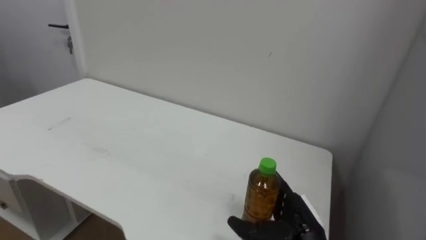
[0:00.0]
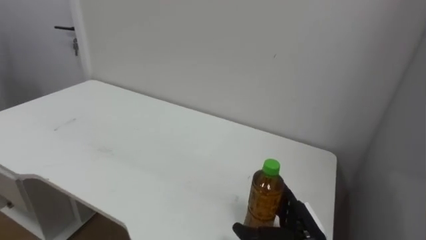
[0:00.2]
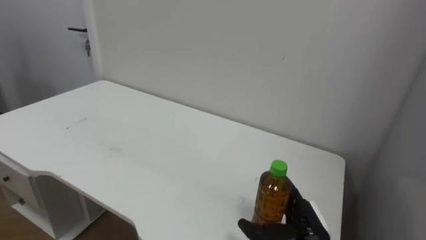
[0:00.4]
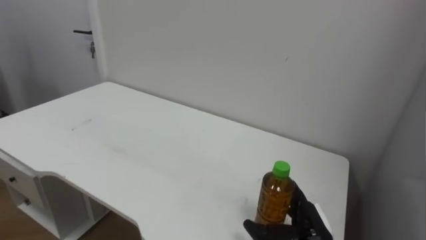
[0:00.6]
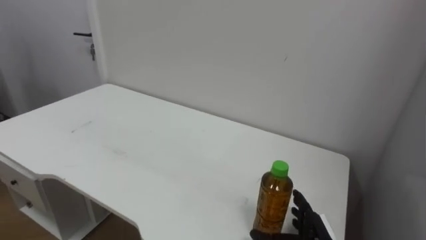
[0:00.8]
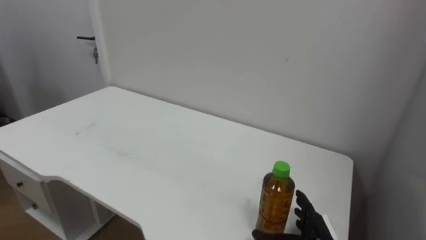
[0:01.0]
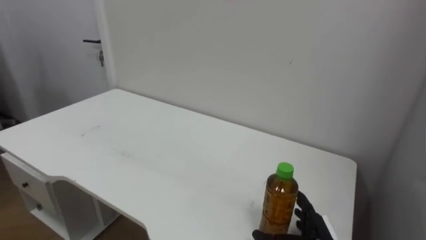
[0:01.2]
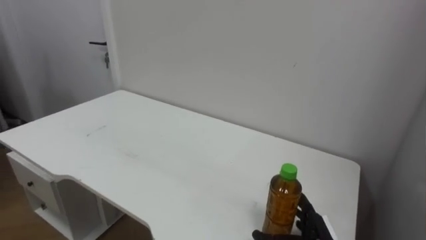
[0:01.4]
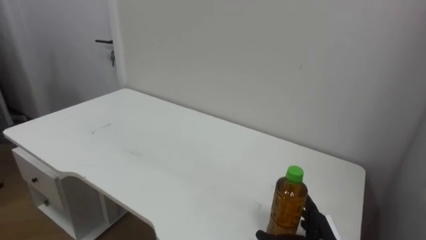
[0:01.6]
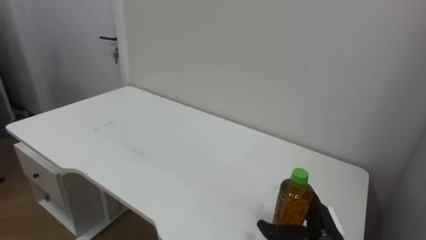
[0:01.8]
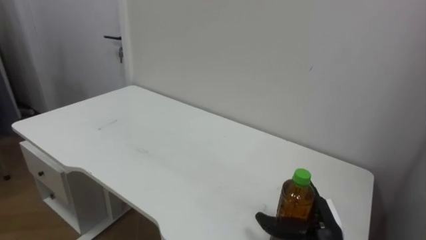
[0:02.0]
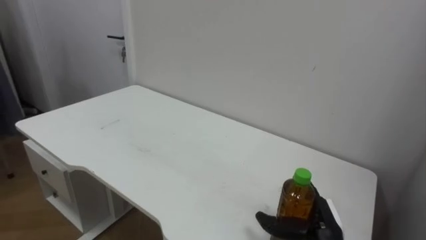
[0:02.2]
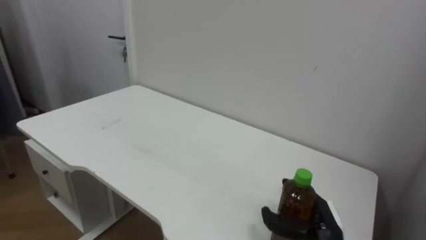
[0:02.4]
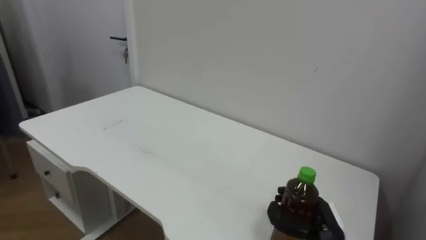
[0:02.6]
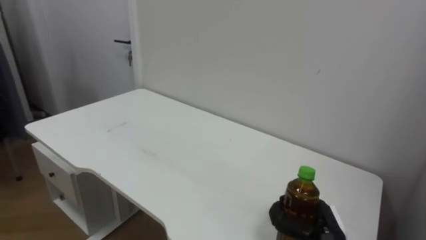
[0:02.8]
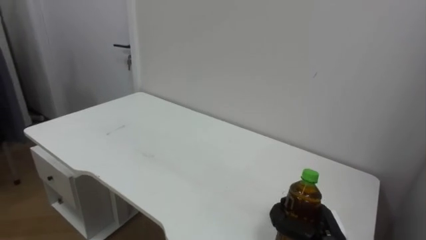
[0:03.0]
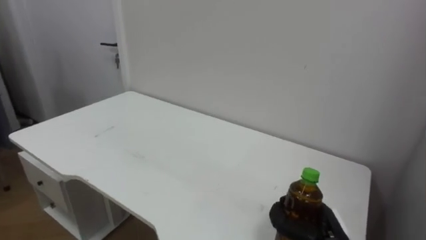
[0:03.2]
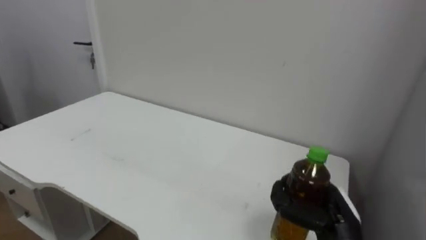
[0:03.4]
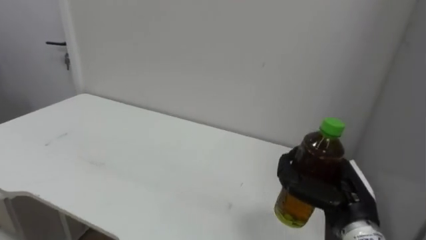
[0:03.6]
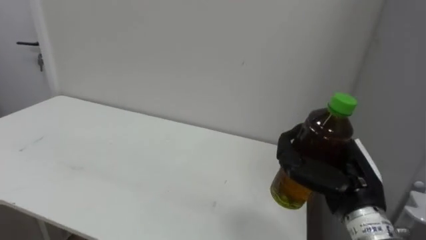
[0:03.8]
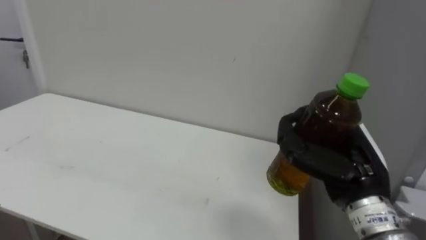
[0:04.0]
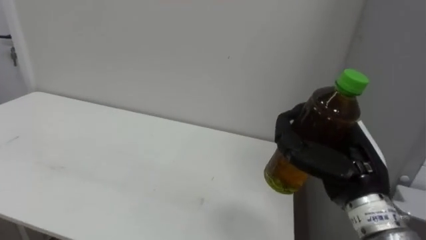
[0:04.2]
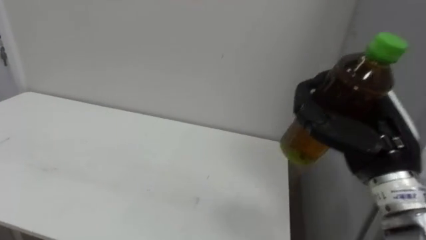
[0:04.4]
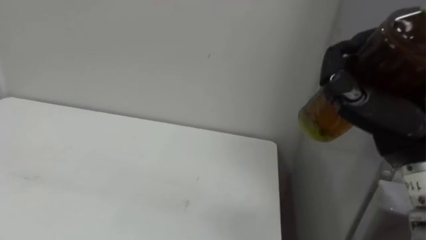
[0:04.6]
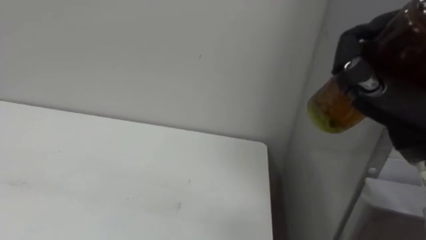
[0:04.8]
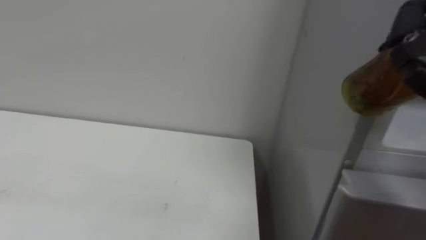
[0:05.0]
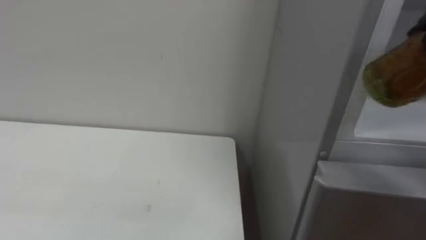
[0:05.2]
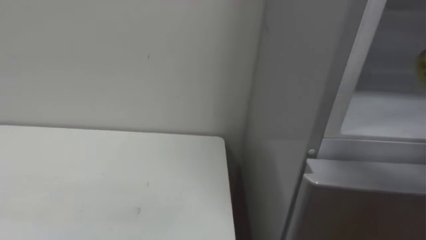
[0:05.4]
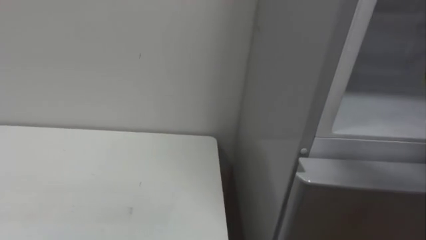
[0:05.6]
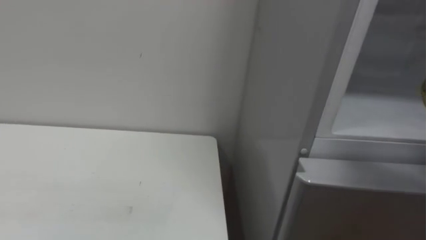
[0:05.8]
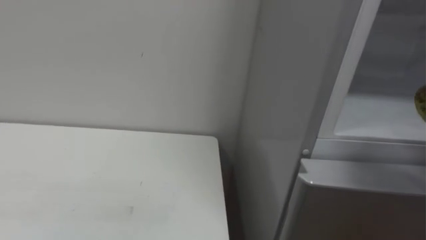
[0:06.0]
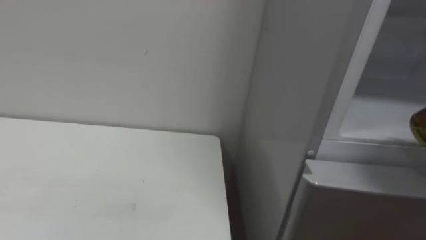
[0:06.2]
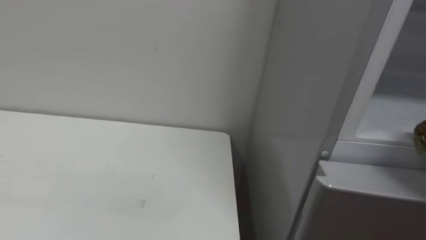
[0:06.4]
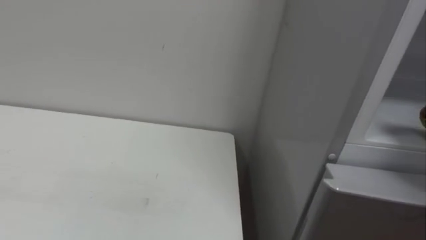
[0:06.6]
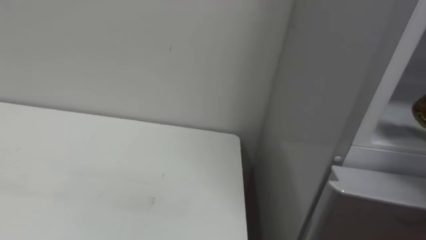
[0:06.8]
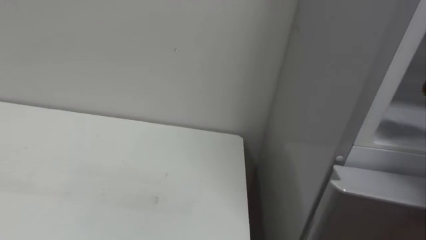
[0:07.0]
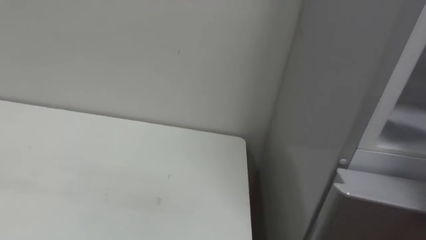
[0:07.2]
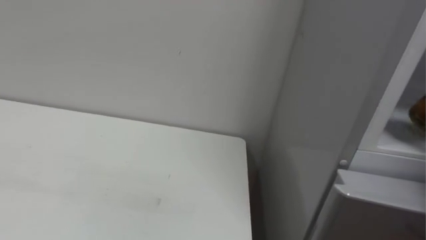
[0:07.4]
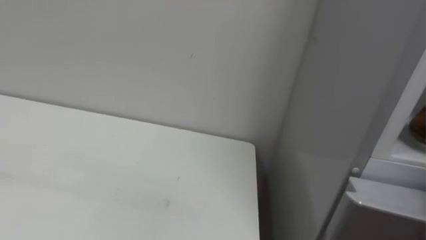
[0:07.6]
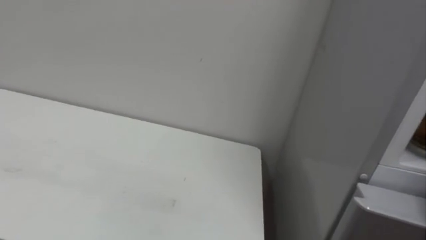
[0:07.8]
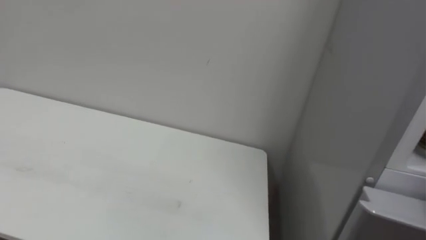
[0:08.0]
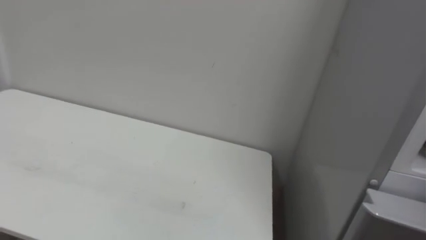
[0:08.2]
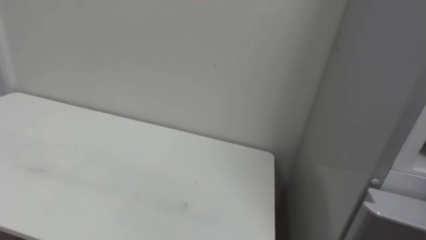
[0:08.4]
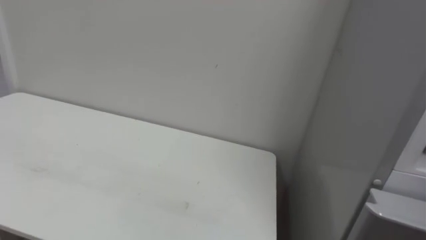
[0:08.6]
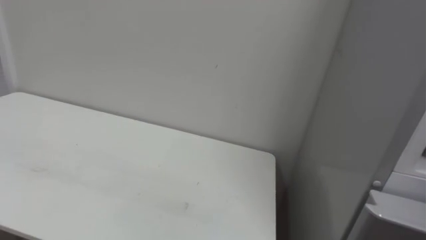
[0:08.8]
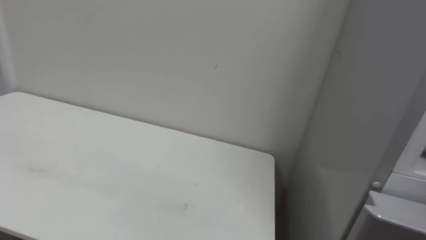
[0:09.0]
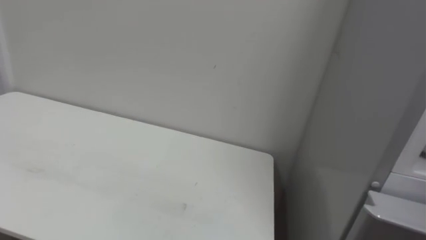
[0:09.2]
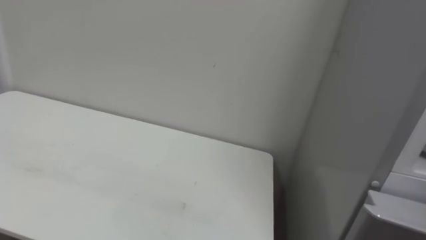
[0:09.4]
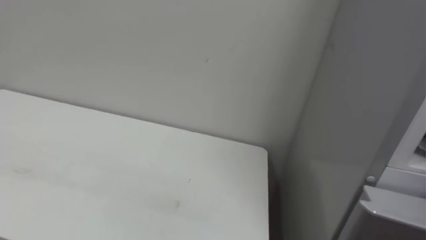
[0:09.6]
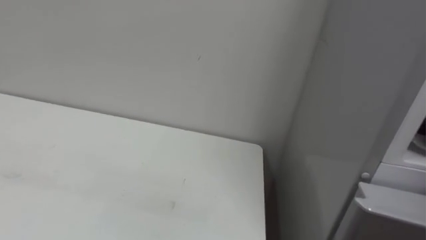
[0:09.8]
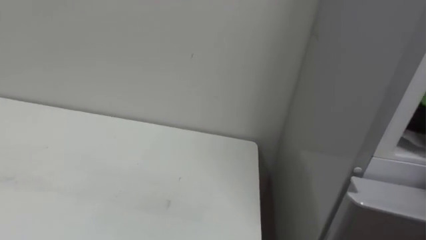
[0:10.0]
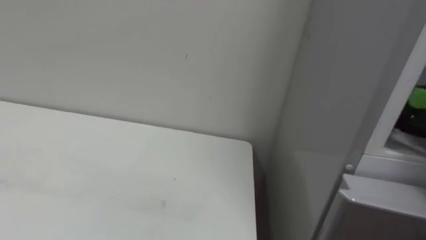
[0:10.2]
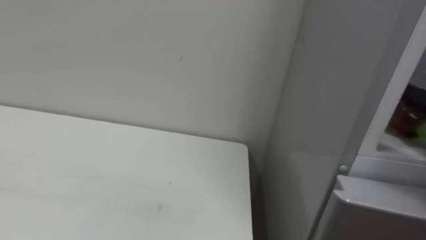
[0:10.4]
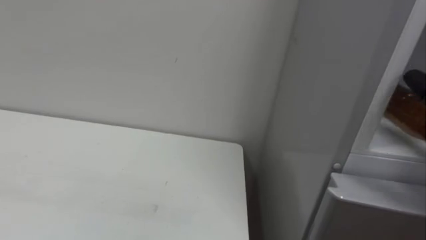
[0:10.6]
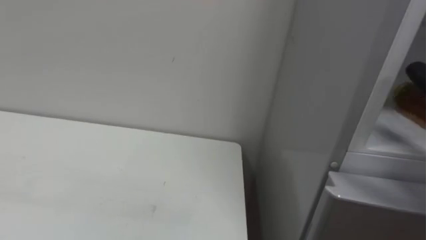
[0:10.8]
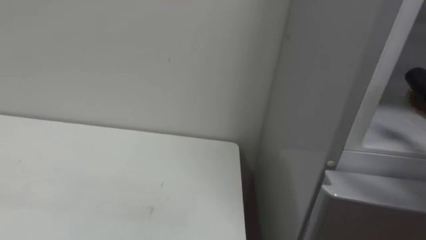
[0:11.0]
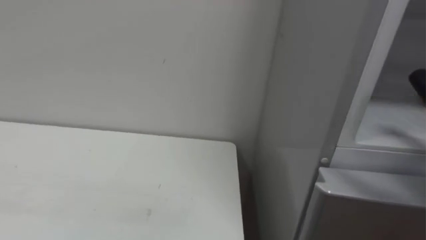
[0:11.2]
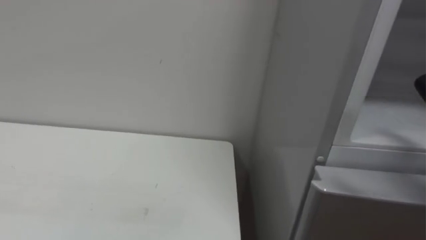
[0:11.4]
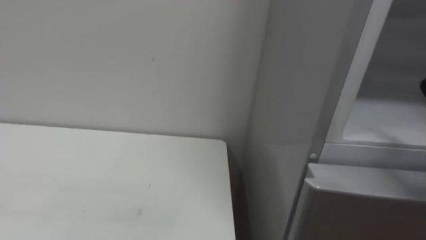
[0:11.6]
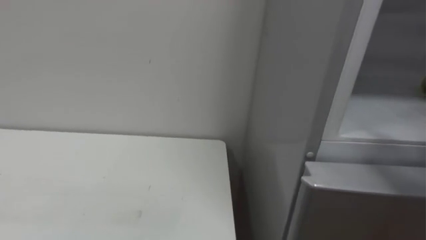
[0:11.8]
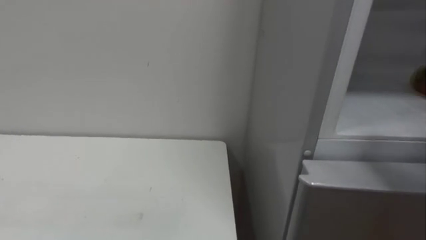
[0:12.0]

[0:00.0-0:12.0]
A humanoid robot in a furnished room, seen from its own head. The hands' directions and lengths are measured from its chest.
Task of the whole recording: Open the upper refrigerator door, put the drink from the table into the refrigerator, and then close the refrigerator door.
0:00.0 to 0:01.6: The right hand heads downward, covering about 5 cm.
0:01.6 to 0:03.0: The right hand closes its fingers.
0:03.0 to 0:04.4: The right hand travels upward by about 25 cm.

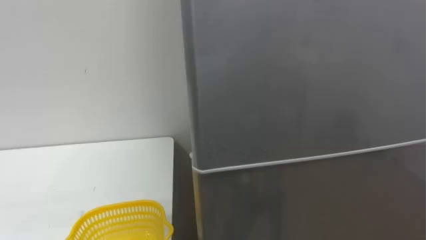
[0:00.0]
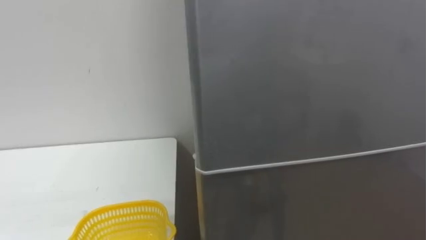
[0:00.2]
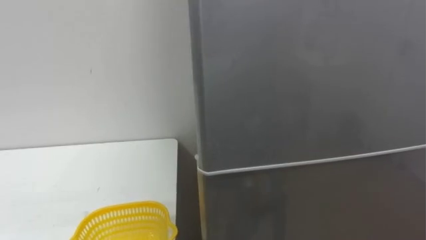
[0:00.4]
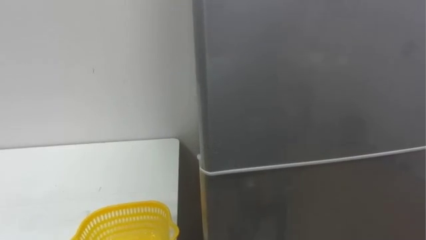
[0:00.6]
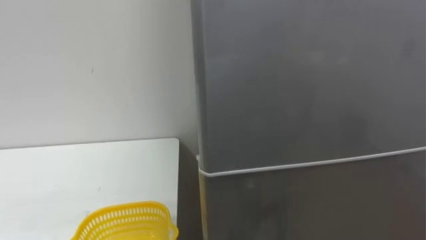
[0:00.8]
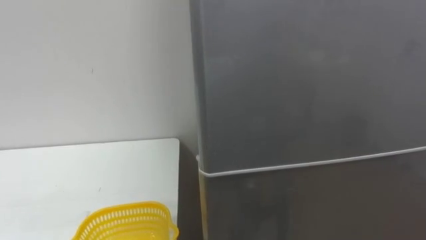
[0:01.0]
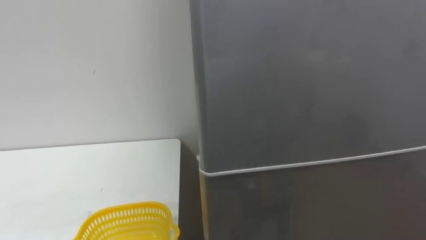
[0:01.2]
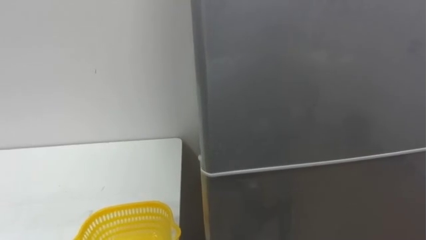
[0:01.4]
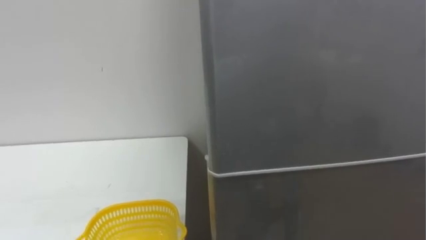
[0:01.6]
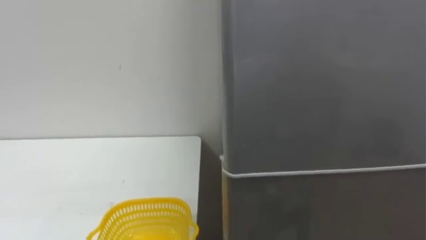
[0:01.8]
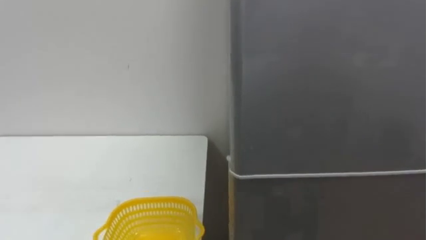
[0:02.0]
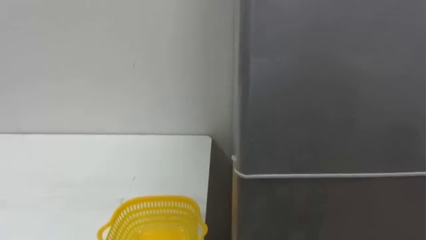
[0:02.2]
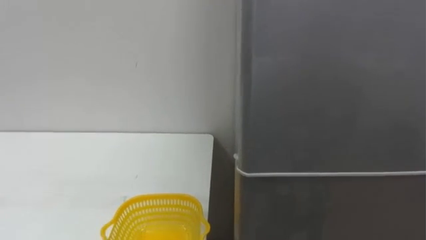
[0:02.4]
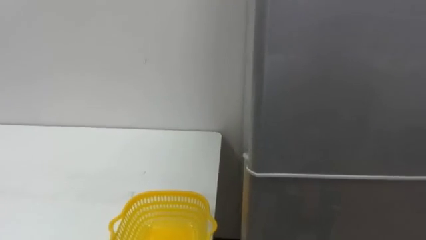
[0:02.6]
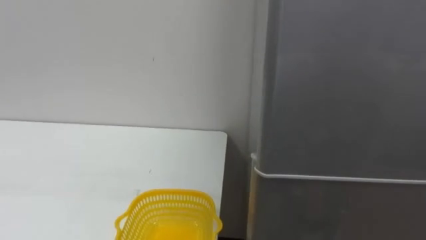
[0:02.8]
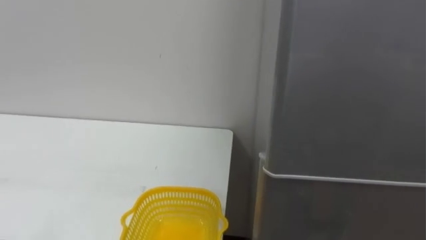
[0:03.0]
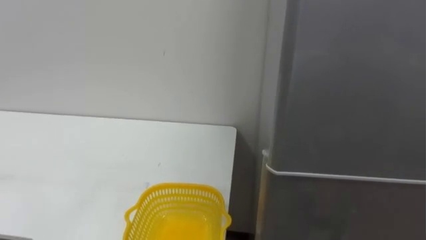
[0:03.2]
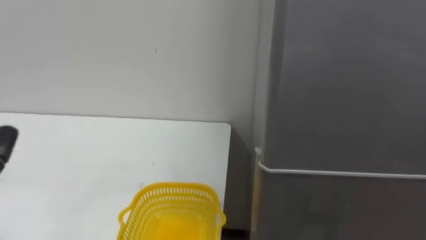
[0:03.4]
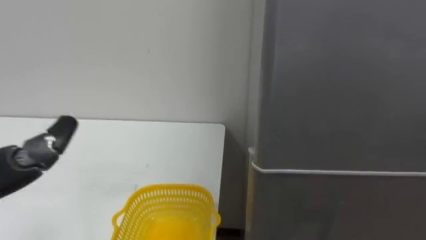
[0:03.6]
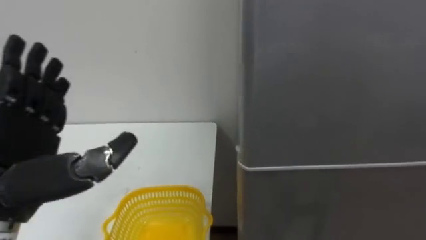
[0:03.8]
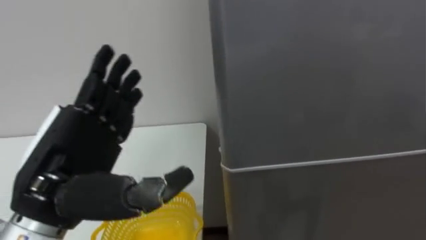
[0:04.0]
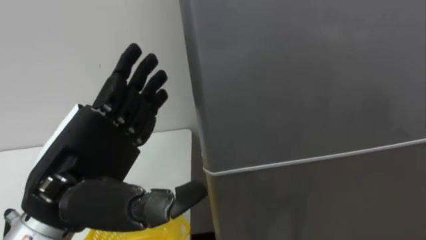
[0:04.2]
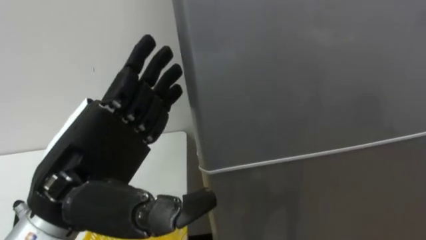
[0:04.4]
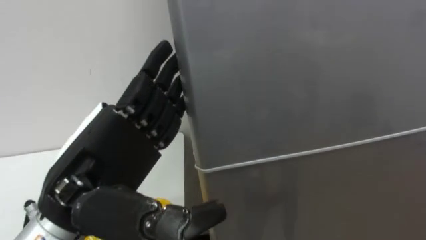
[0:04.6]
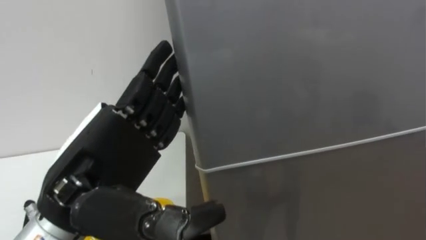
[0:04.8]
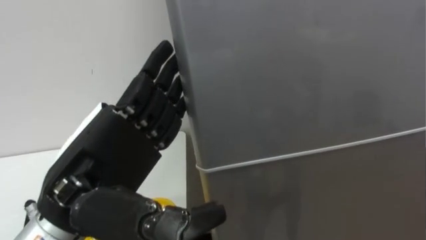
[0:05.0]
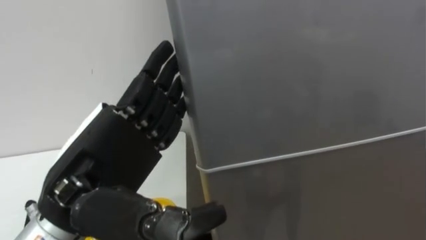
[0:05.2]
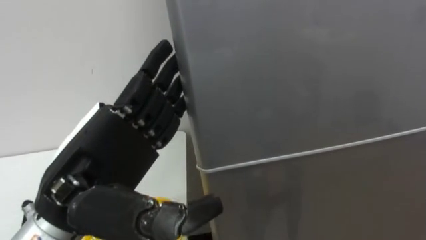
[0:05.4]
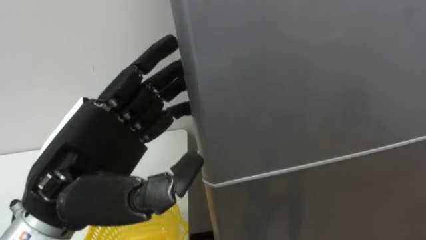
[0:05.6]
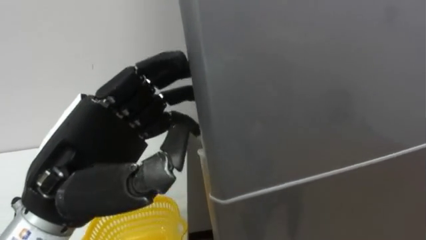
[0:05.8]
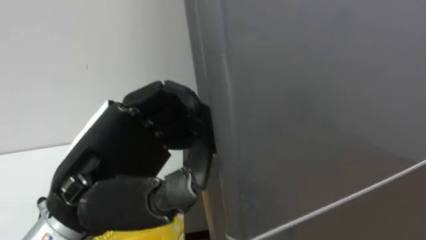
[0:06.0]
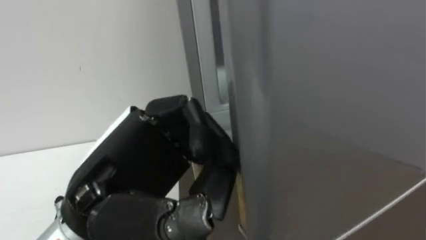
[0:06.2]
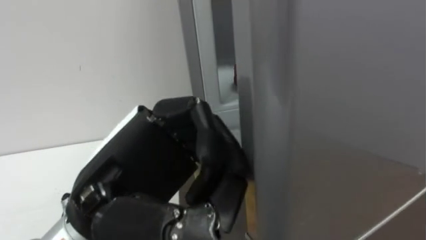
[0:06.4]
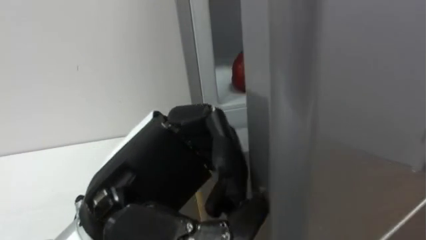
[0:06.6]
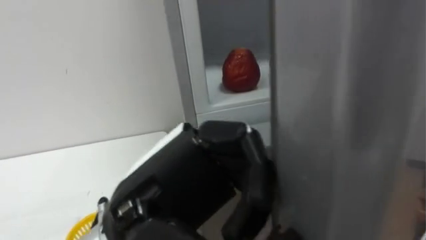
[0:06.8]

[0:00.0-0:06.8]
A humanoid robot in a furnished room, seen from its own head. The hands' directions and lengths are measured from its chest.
Task of the whole recording: Open the refrigerator door, take out the apple and the pomegranate, place them in the fruit basket on the left, and close the refrigerator door.
0:04.0 to 0:05.4: The left hand ends up some 5 cm from where it was.
0:05.4 to 0:06.8: The left hand moves to the right, approximately 5 cm, and closes up.
